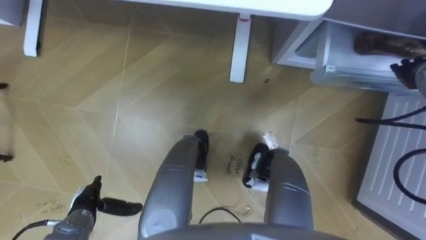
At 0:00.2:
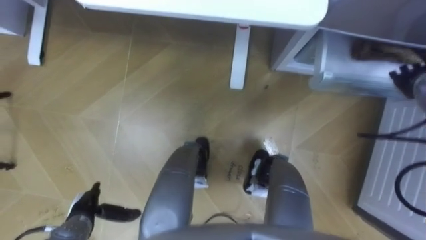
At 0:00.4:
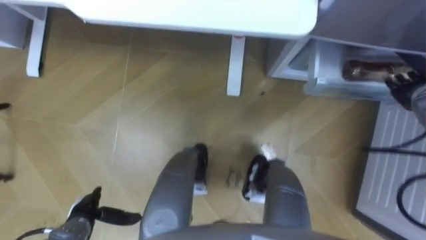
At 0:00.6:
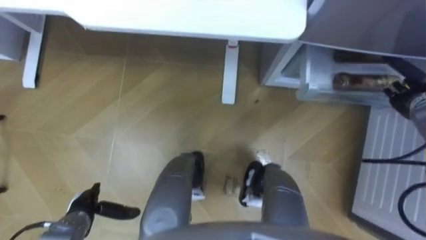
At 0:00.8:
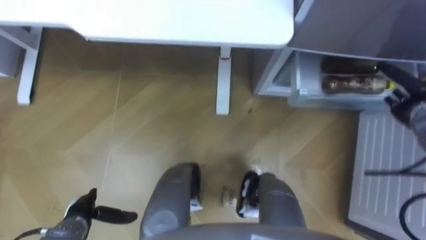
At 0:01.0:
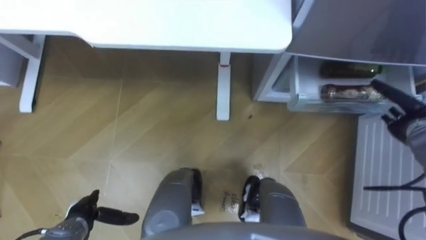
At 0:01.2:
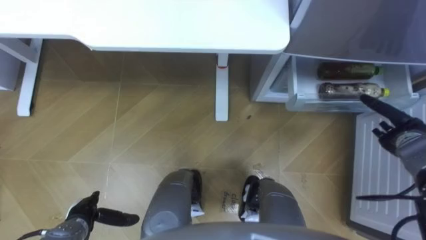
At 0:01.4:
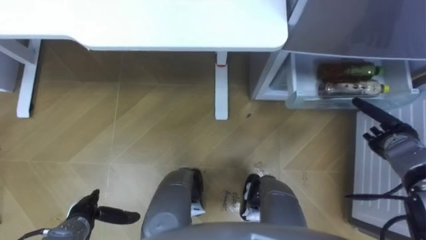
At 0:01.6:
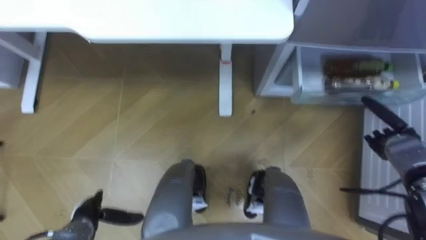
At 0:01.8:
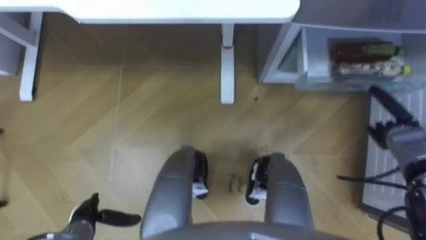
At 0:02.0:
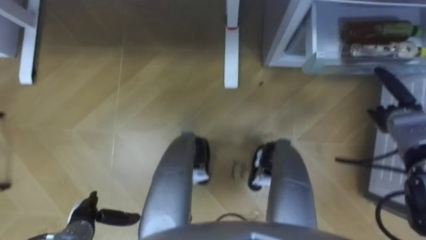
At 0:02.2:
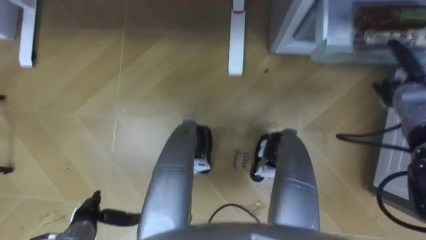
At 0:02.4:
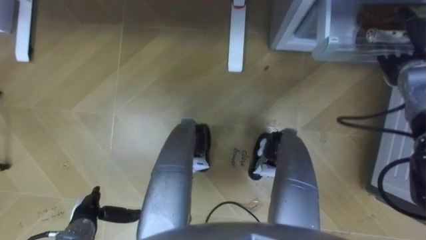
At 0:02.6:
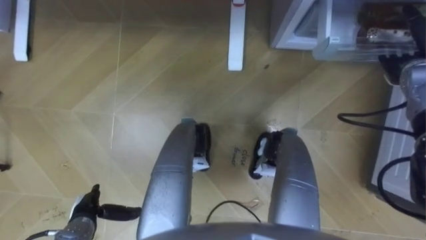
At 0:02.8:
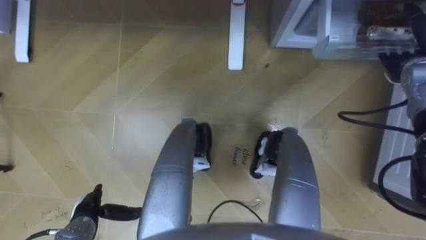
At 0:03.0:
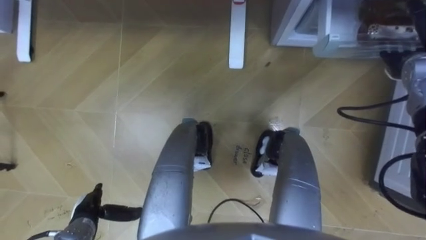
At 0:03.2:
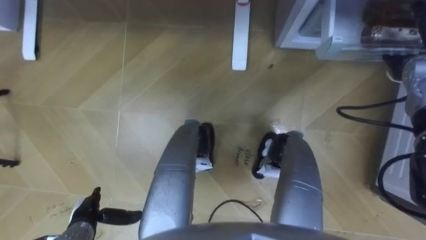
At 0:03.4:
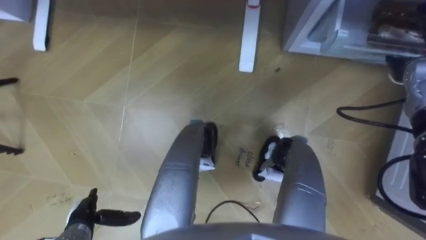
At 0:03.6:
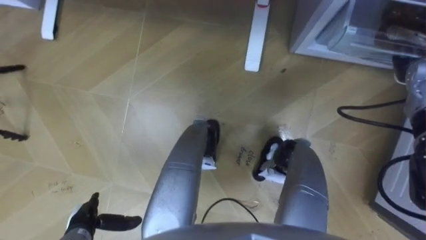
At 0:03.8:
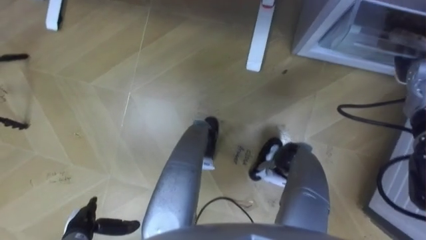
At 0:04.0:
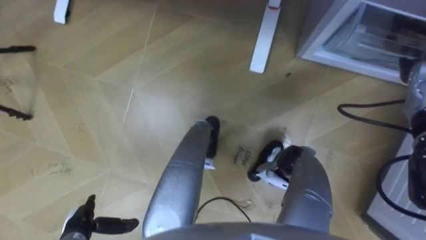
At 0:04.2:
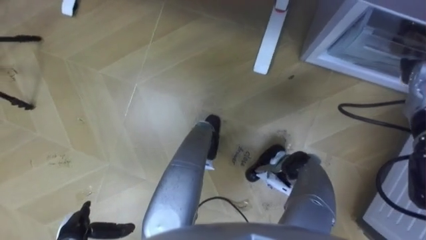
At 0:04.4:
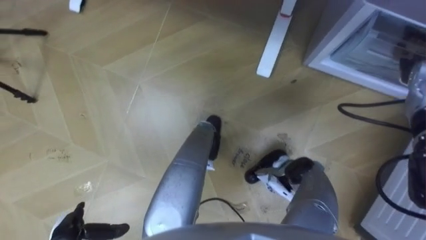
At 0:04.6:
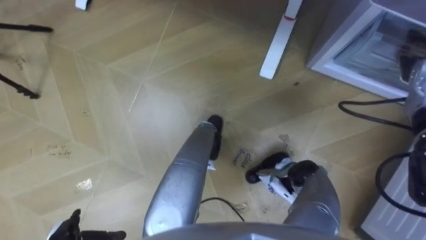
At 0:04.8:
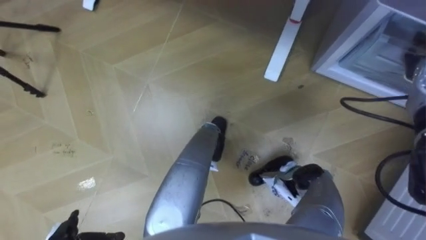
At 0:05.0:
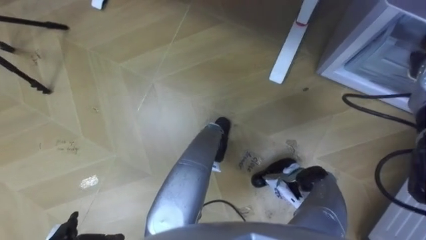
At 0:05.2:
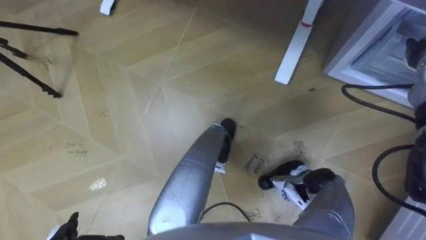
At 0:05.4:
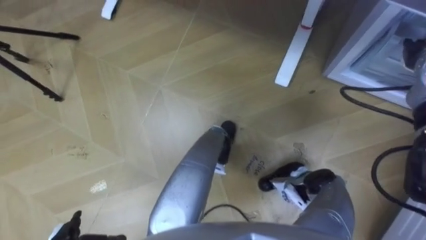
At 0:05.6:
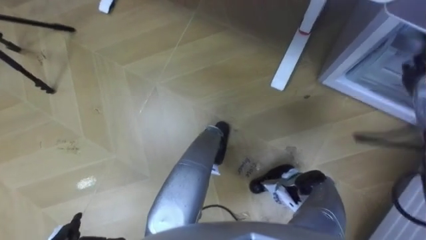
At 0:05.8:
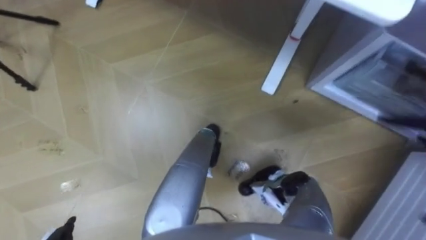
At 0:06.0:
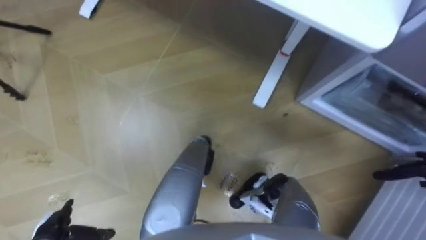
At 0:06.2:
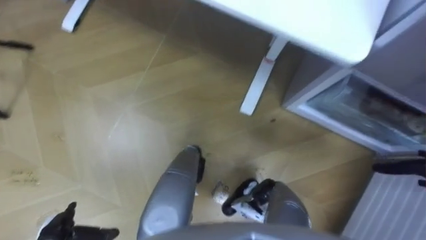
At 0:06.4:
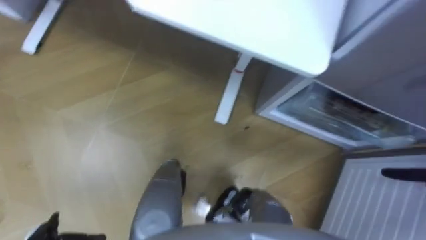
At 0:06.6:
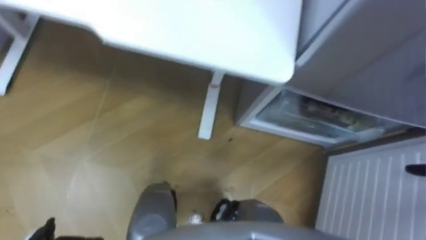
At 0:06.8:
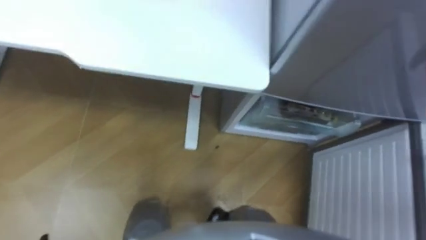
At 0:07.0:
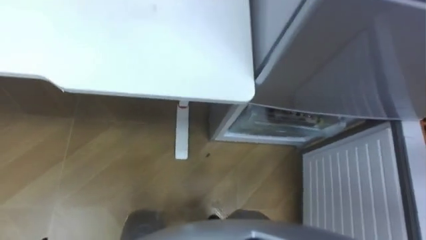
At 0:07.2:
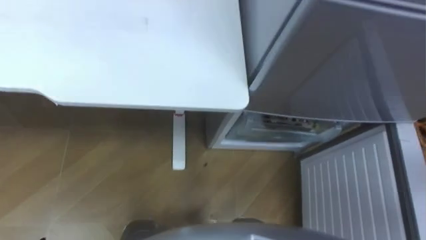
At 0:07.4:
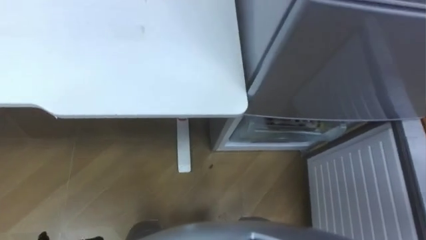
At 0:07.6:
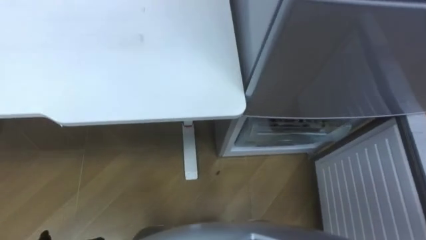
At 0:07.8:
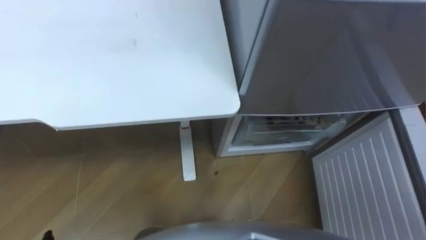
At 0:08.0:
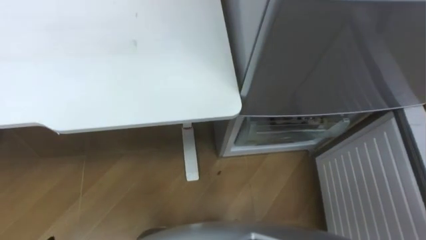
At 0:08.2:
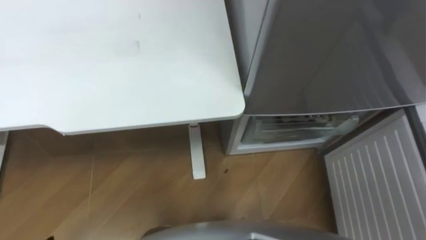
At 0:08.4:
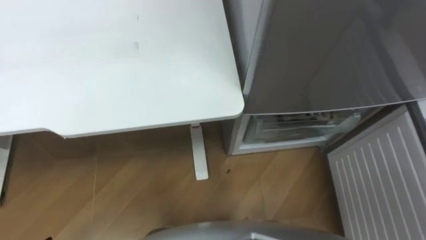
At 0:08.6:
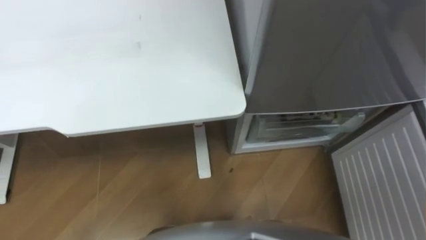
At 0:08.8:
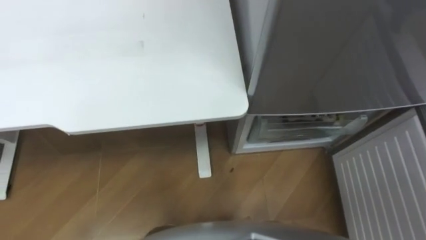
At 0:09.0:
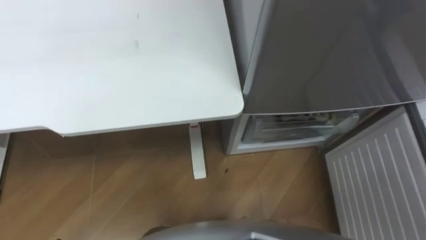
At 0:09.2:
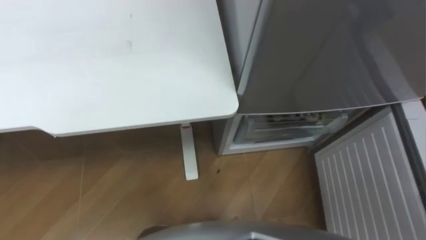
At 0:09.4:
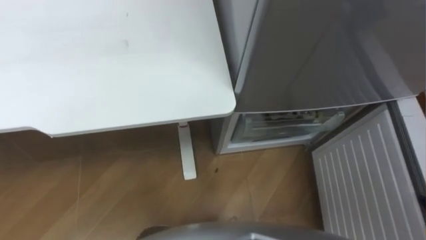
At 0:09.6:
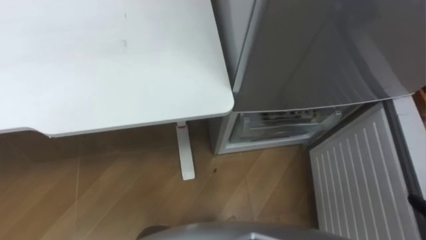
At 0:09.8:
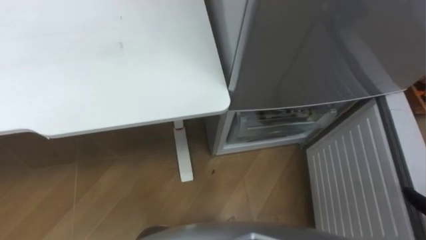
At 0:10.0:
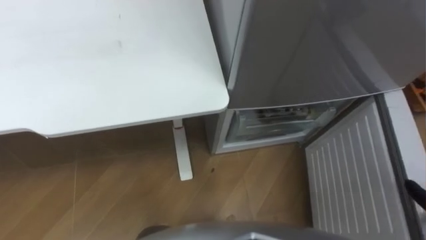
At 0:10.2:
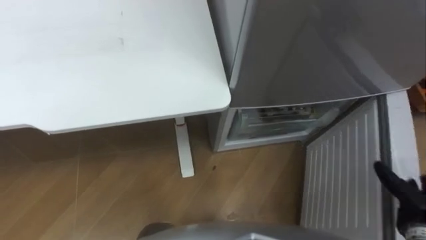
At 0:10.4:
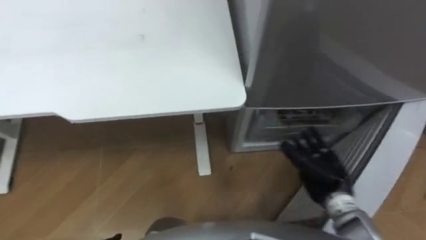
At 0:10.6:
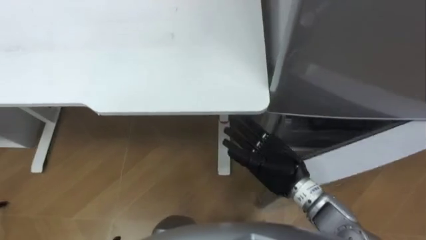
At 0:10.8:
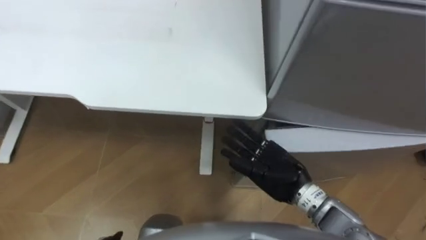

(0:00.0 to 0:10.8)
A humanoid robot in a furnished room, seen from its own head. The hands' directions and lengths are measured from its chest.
Task of the whole recording: Place the drink on the table on the bottom shelf of the refrigerator, then close the drawer and the refrigerator door.
0:00.0 - 0:01.6: The right hand moves downward and backward, some 15 cm.
0:01.6 - 0:03.0: The right hand is displaced upward and forward by some 15 cm.

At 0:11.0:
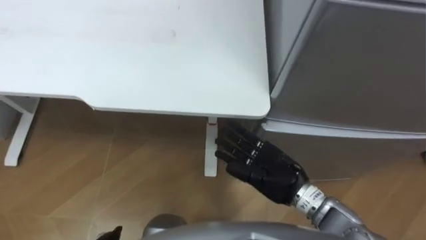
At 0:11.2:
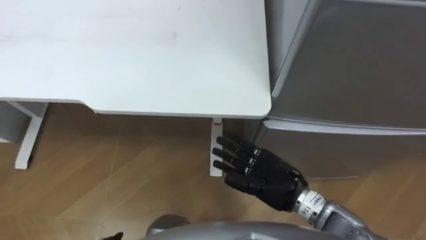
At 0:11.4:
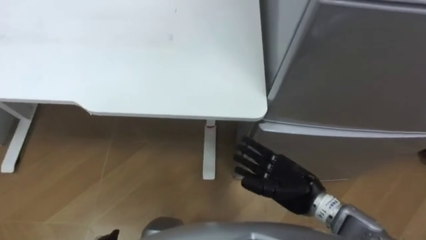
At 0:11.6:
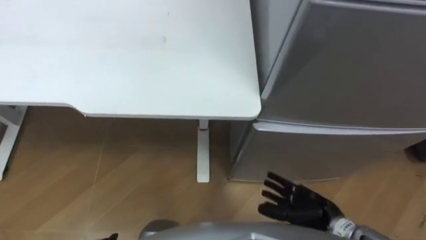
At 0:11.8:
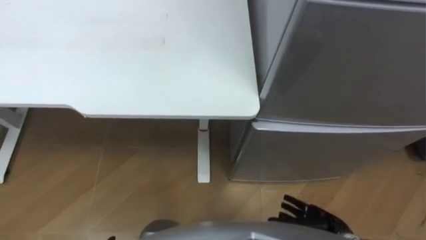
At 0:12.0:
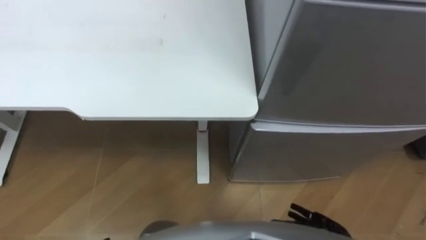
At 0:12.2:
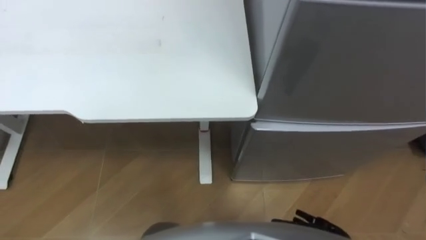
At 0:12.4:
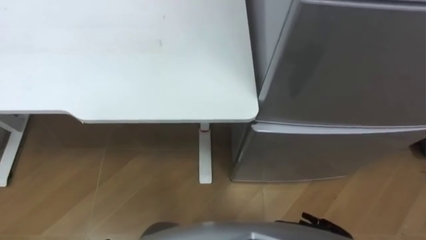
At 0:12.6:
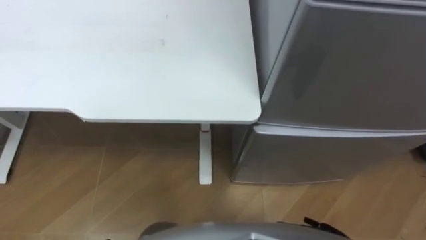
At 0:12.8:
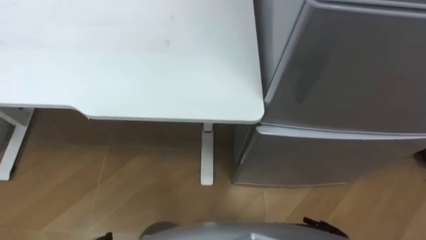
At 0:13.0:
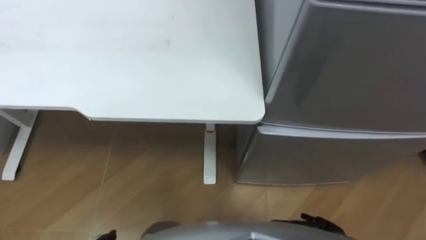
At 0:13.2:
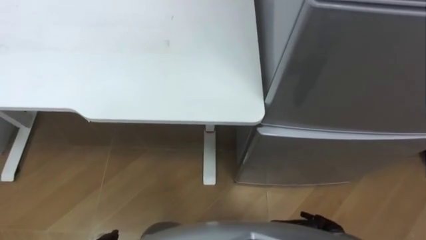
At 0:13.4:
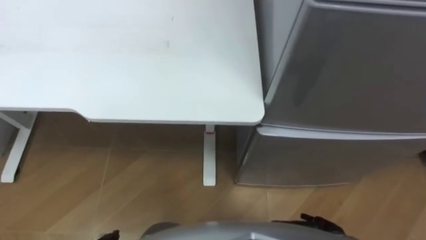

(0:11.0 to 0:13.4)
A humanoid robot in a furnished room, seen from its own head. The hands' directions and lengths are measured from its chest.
Task of the whole recording: Place the drink on the table on the bottom shelf of the refrigerator, then close the drawer and the refrigerator door.
0:11.0 - 0:12.2: The right hand travels downward, backward and to the right by roughly 25 cm.

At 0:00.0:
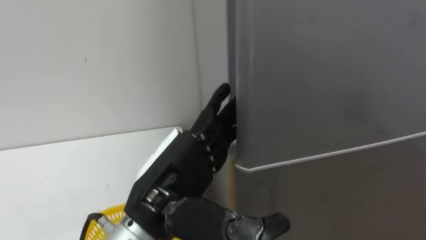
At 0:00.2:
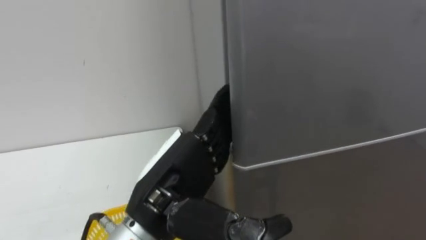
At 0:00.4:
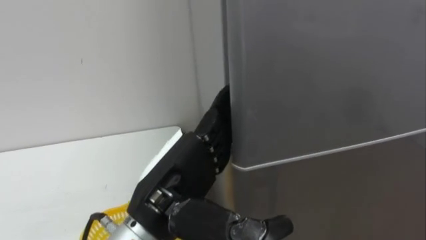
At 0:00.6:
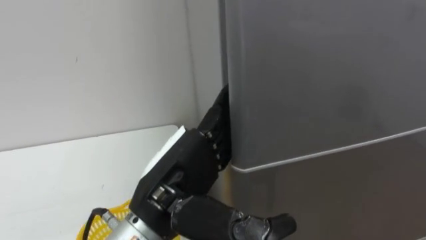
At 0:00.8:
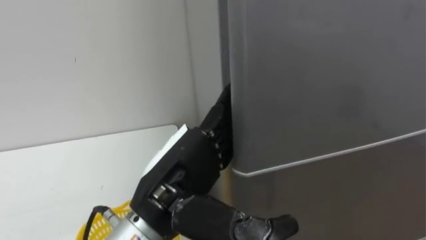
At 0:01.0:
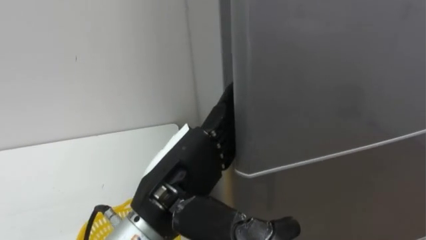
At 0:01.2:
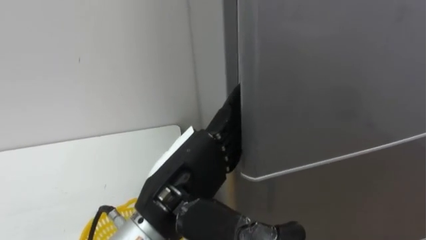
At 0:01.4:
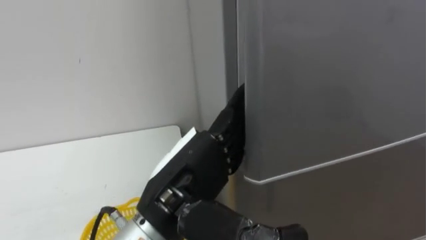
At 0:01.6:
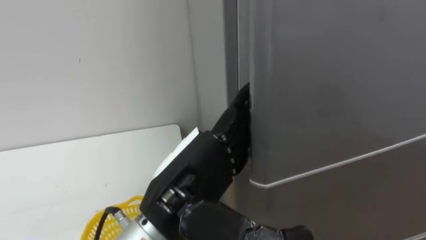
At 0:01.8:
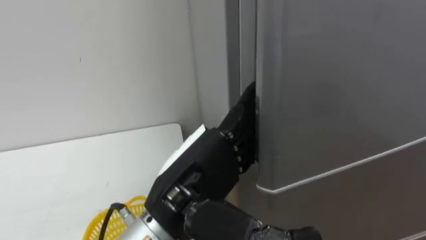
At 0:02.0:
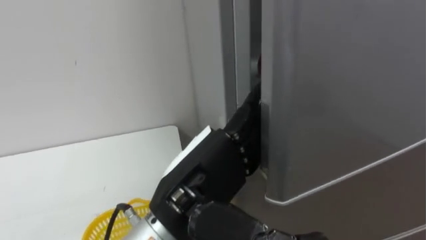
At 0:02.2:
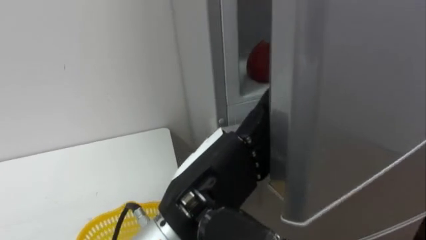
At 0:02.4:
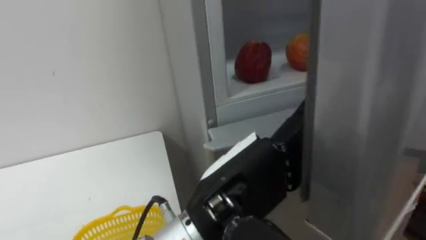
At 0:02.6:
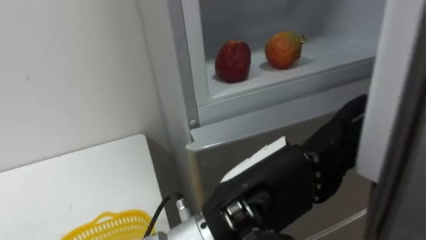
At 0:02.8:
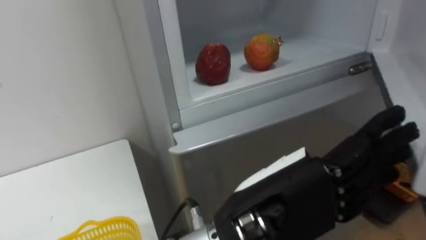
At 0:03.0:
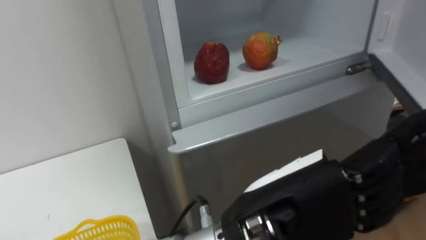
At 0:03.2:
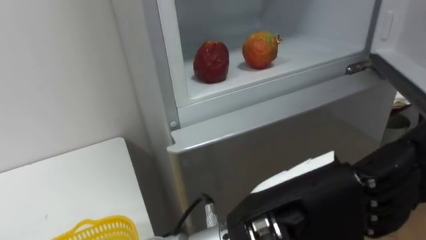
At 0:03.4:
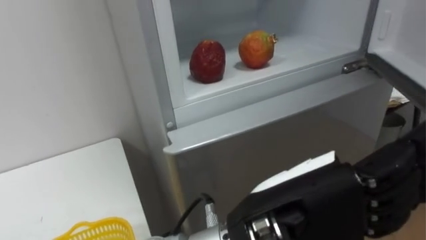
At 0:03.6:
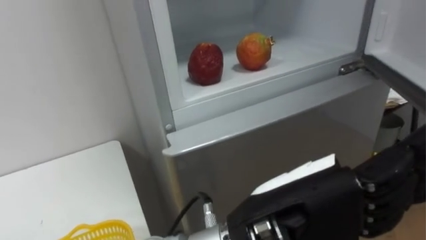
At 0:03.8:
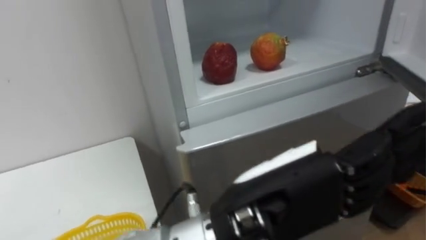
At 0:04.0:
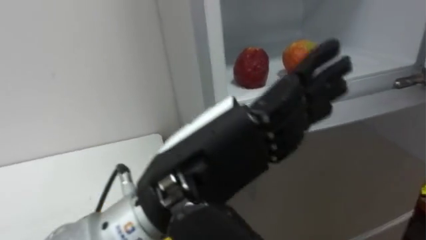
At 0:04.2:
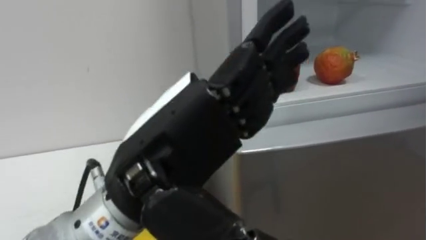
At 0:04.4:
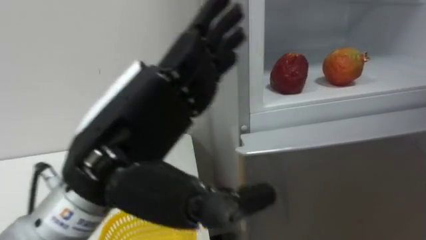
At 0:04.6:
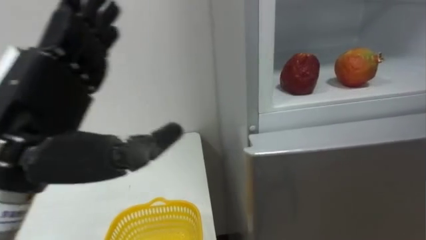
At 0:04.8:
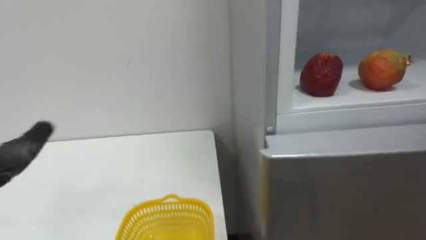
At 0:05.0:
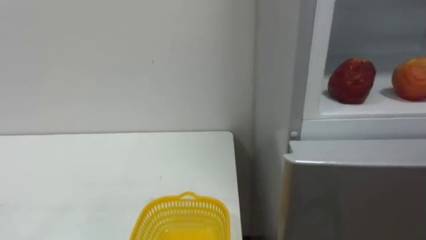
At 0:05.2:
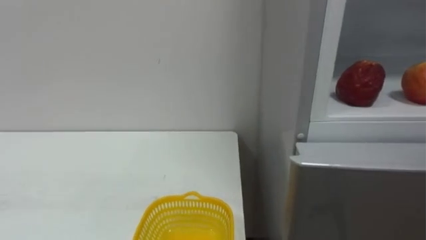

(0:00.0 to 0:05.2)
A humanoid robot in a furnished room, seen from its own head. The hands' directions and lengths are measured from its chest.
Task of the whole recording: Open the refrigerator door, take out the apple and the pomegranate, place them in the fruit basket on the left, and close the refrigerator door.
0:01.8 - 0:03.4: The left hand is displaced to the right and backward by some 10 cm.
